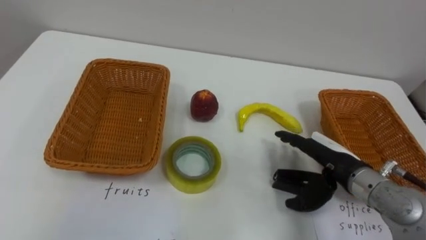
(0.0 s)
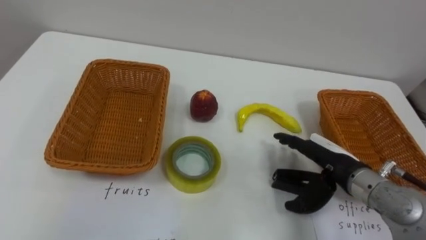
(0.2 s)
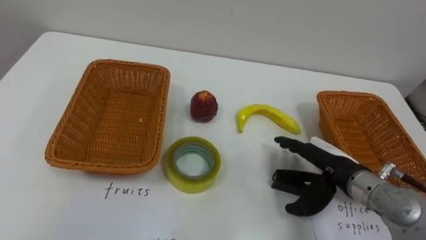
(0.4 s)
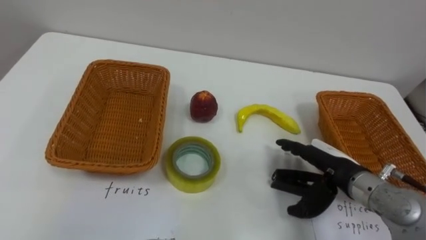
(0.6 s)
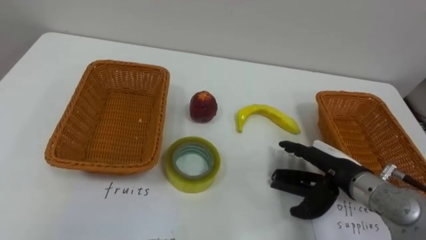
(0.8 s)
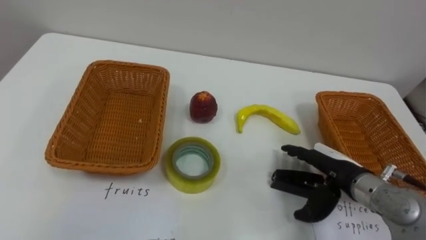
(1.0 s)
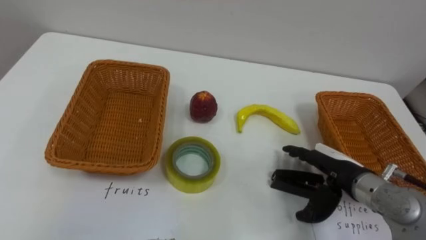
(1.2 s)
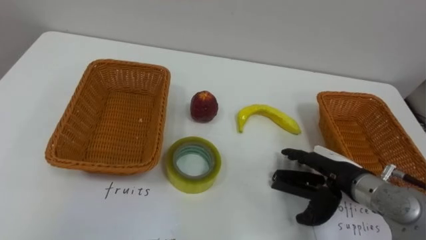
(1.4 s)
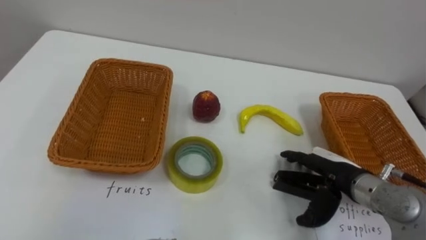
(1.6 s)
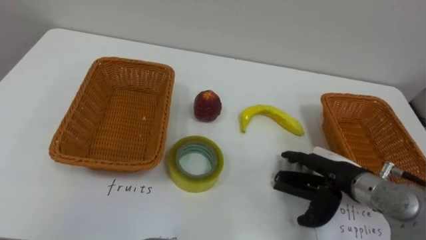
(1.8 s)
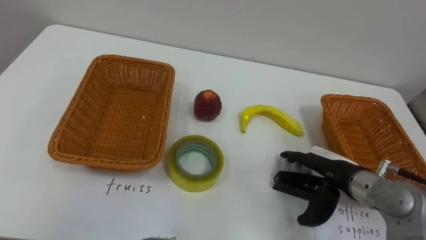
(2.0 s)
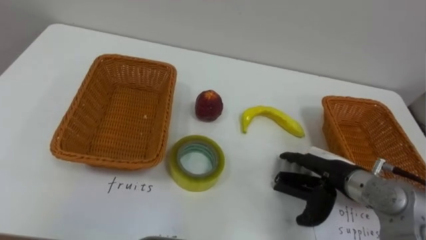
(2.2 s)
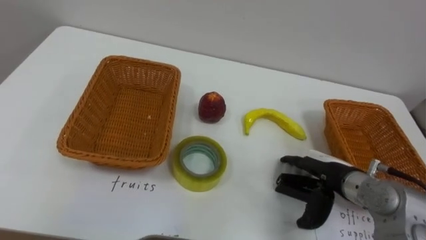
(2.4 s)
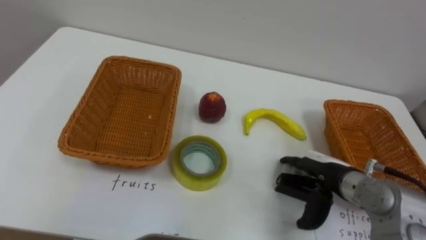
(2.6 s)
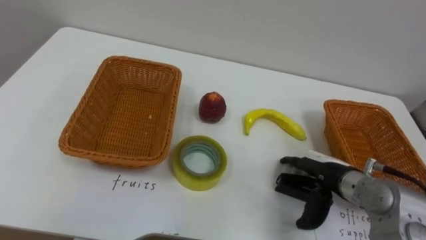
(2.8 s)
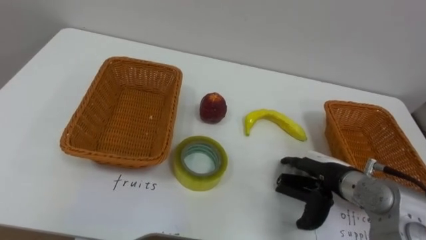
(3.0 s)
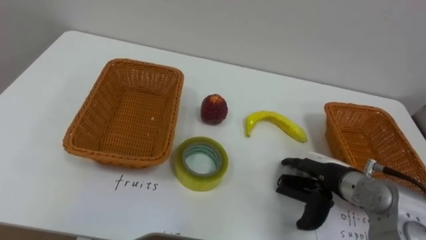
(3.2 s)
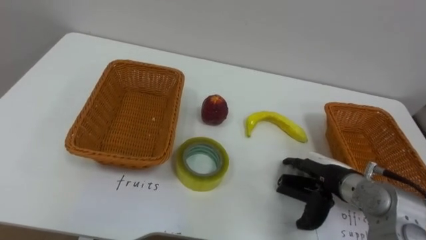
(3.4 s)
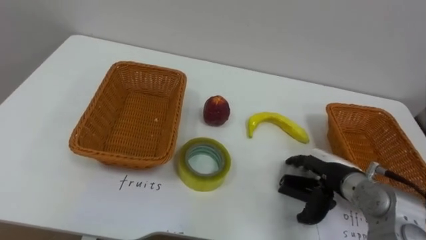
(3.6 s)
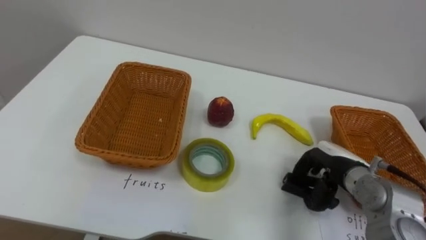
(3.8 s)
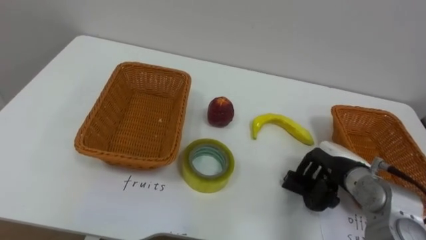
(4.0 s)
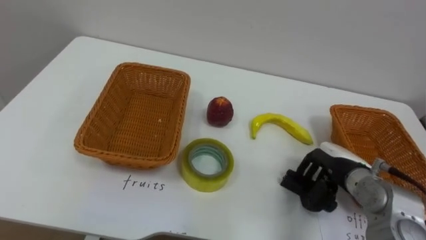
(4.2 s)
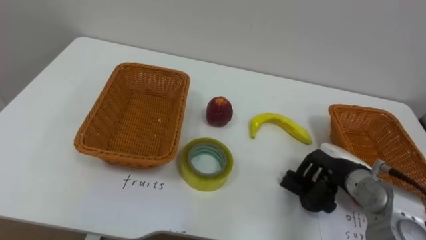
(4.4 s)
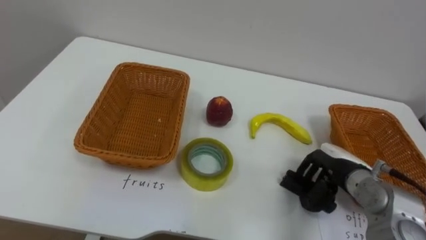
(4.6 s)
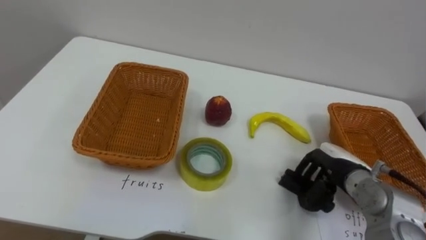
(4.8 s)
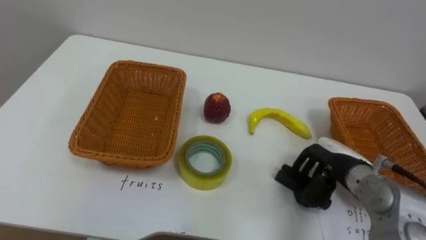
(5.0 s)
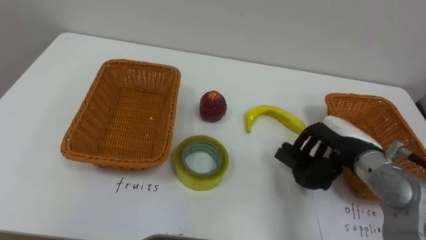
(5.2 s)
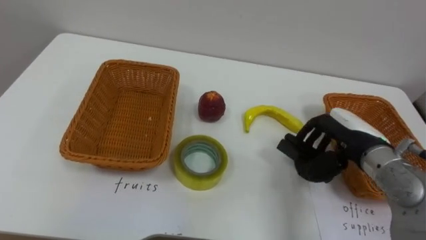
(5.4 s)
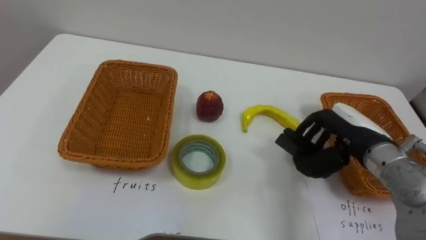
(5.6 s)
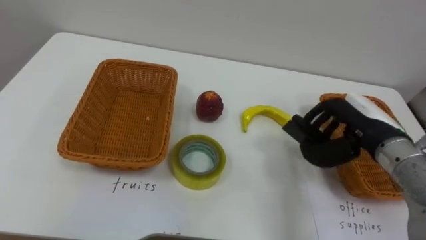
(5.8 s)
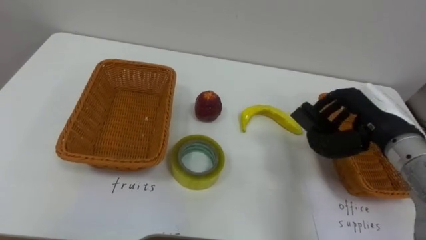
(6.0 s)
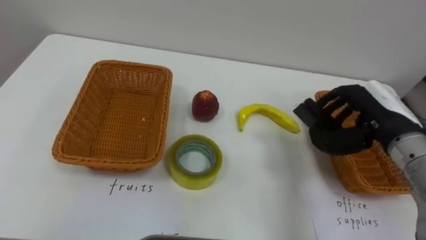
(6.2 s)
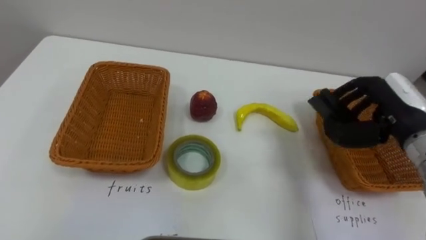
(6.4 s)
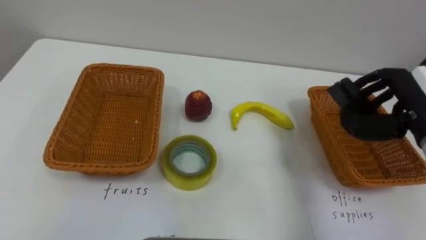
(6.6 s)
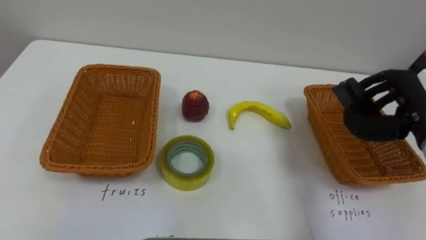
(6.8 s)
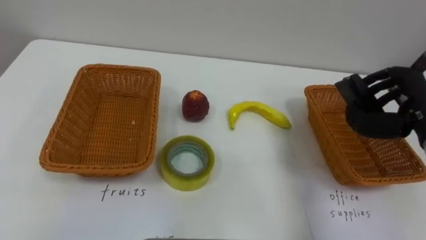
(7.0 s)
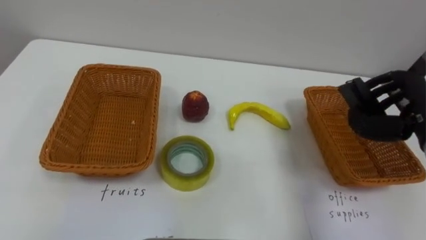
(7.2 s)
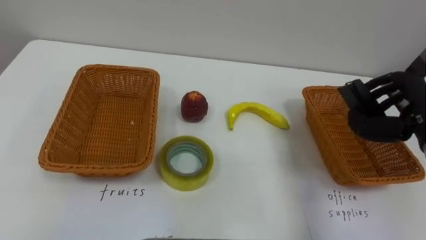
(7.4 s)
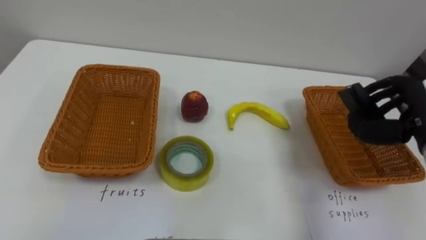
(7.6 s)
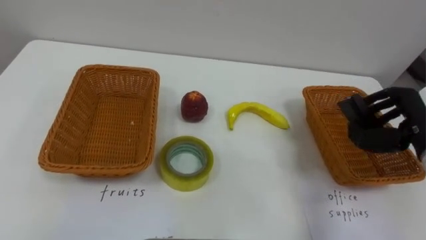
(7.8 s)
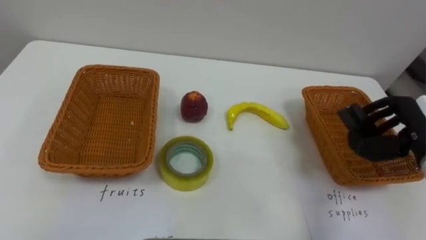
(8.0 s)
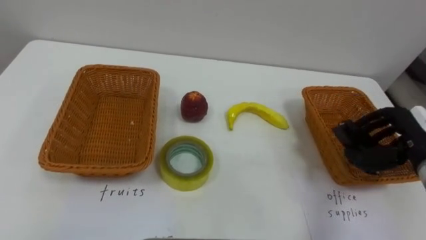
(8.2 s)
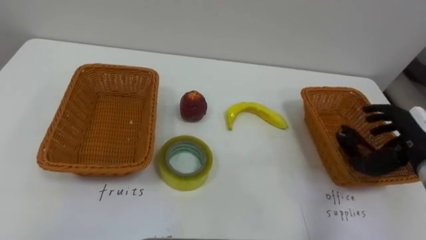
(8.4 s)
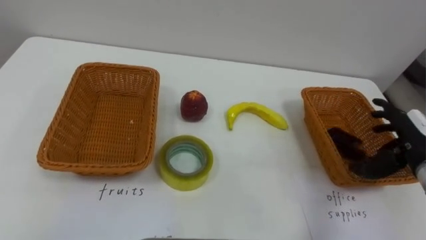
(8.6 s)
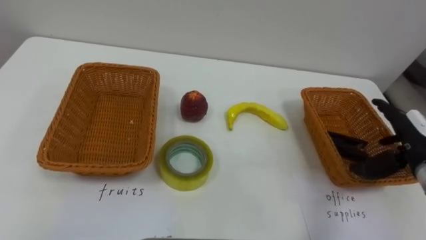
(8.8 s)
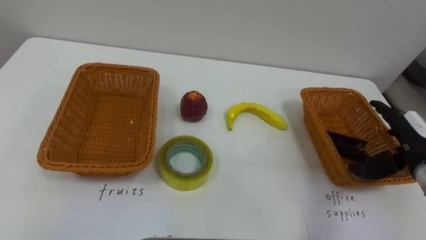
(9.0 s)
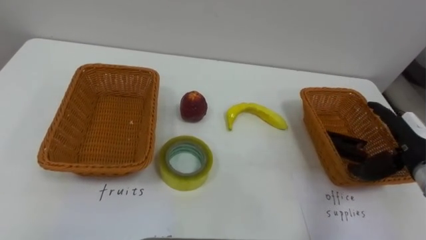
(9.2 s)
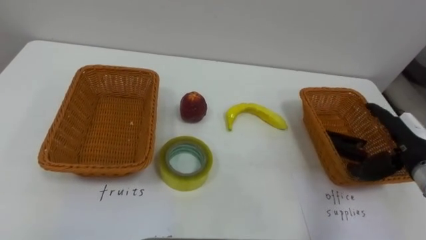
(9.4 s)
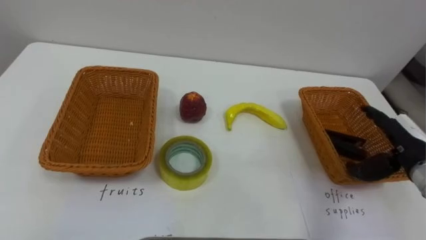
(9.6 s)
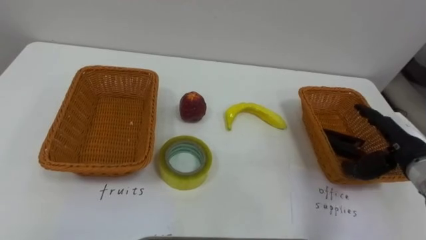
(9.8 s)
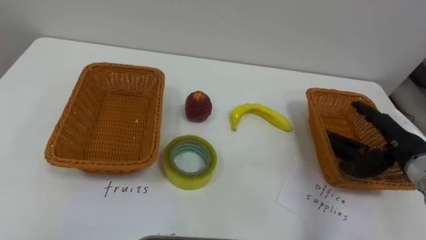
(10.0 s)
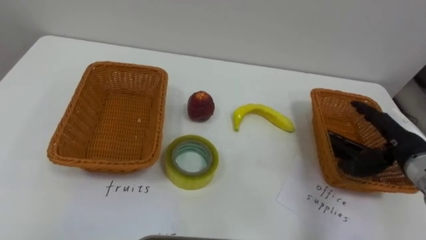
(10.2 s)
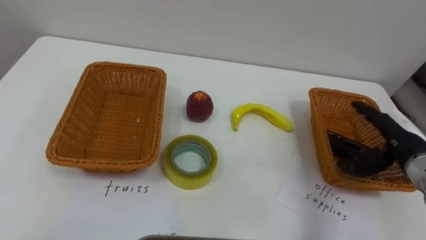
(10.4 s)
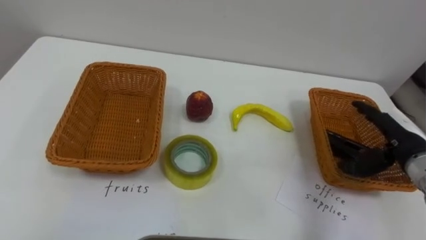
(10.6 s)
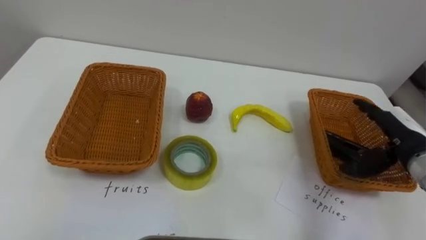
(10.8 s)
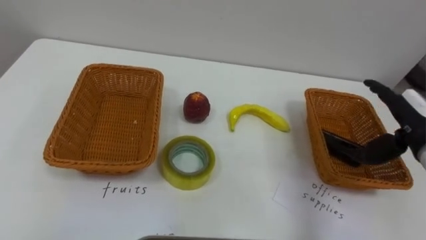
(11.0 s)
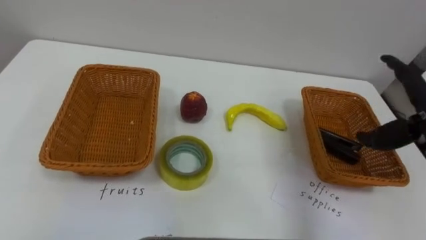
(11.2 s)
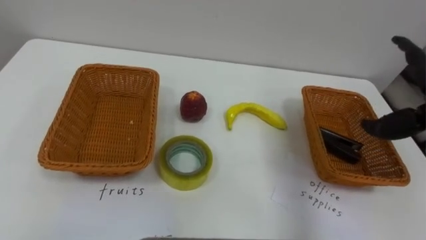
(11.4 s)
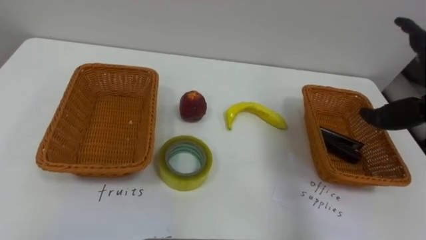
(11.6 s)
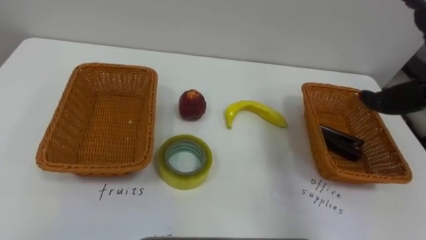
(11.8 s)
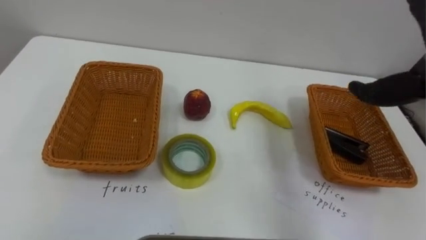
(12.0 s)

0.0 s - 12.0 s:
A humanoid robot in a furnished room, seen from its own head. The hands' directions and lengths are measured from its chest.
Task of the whole recording: Separate the items on the table and place them into the two baskets.
3.0 s - 4.4 s: The right hand closes up.
4.4 s - 6.0 s: The right hand shifts about 10 cm upward.
7.6 s - 9.0 s: The right hand is displaced downward by roughly 5 cm, and opens.

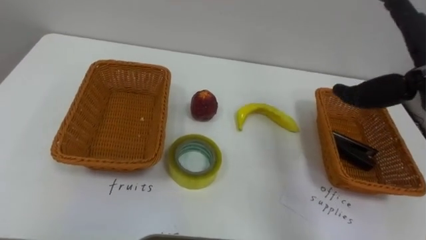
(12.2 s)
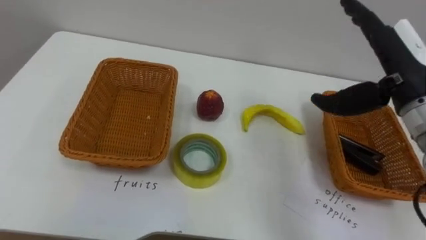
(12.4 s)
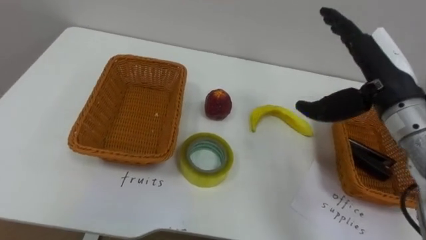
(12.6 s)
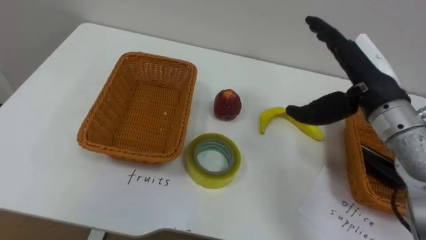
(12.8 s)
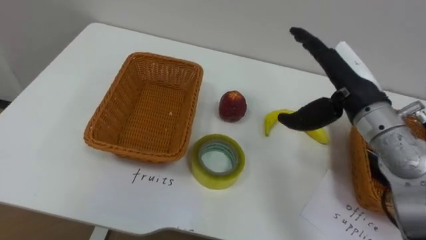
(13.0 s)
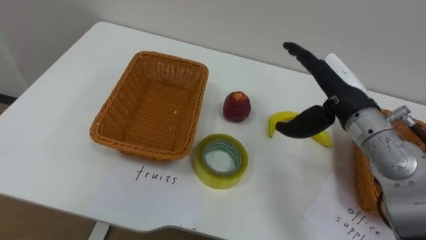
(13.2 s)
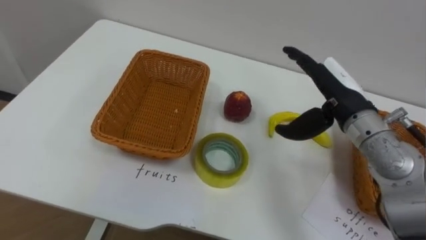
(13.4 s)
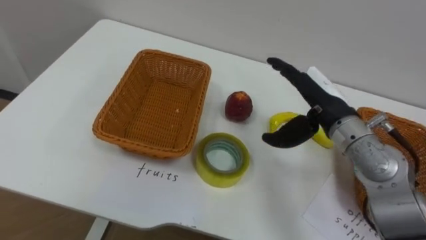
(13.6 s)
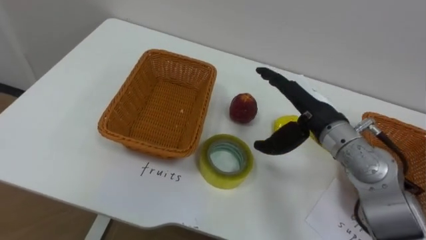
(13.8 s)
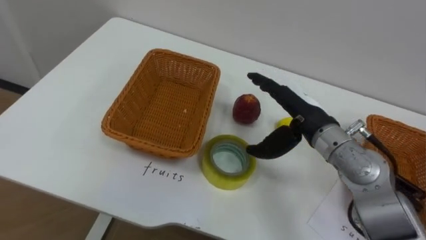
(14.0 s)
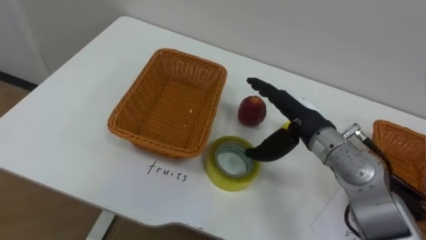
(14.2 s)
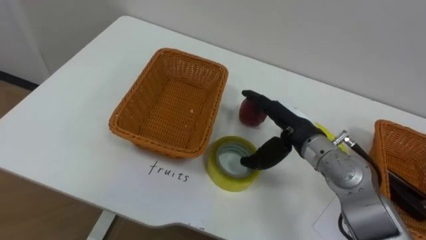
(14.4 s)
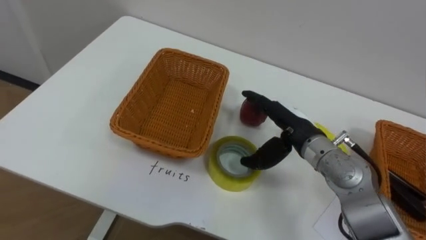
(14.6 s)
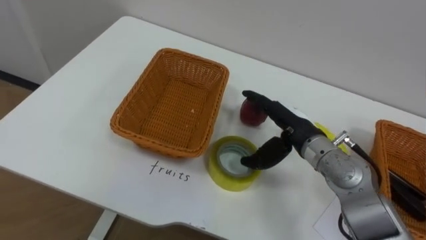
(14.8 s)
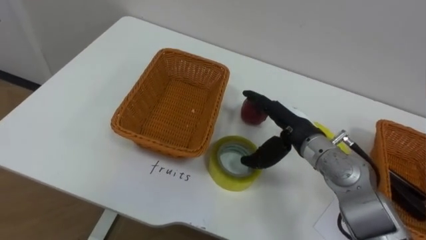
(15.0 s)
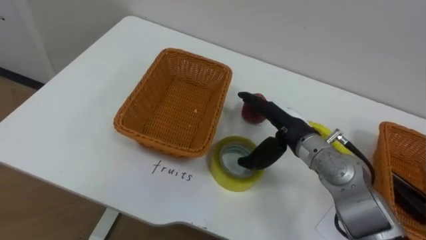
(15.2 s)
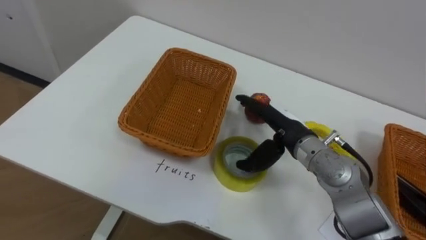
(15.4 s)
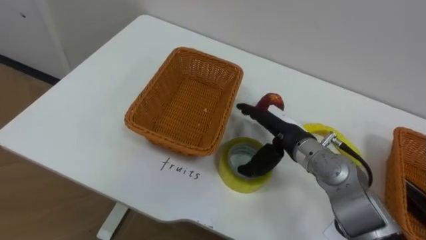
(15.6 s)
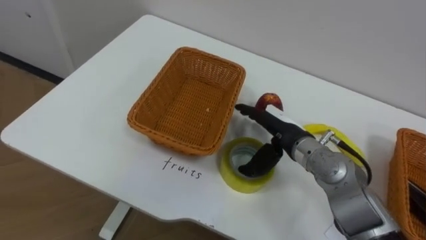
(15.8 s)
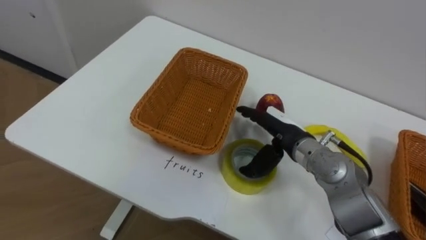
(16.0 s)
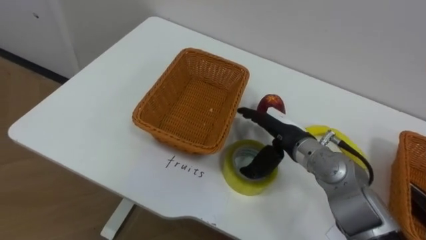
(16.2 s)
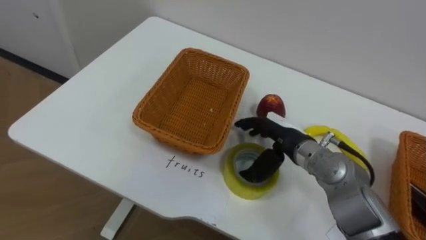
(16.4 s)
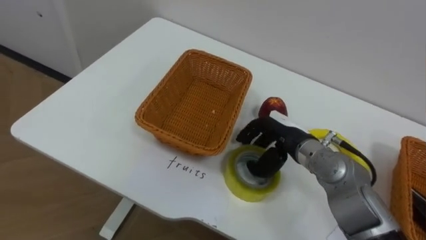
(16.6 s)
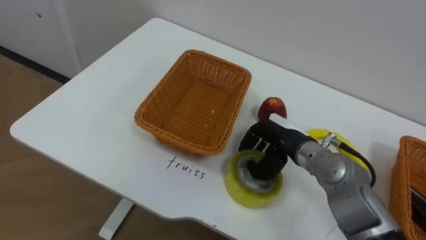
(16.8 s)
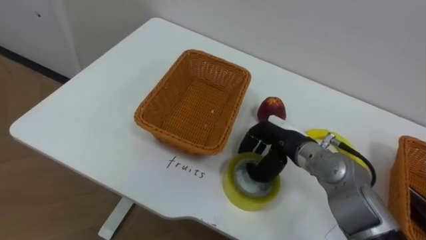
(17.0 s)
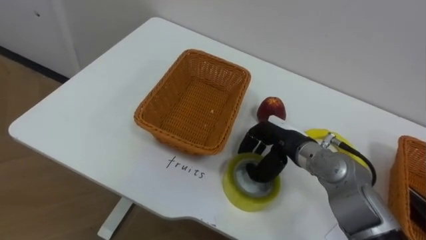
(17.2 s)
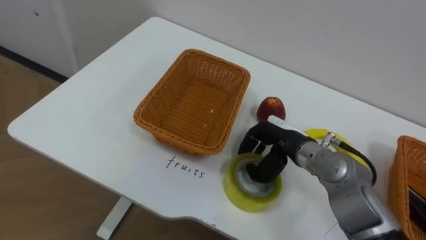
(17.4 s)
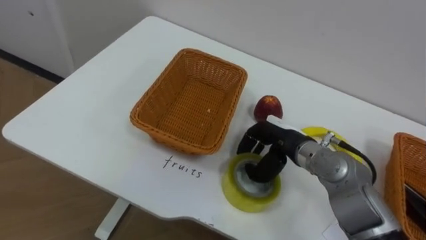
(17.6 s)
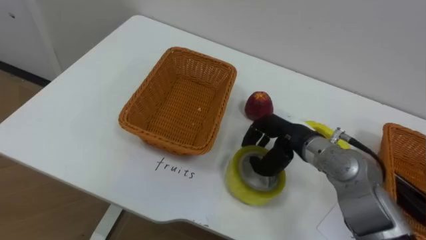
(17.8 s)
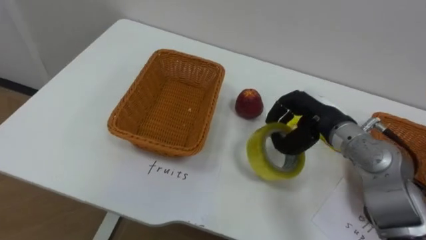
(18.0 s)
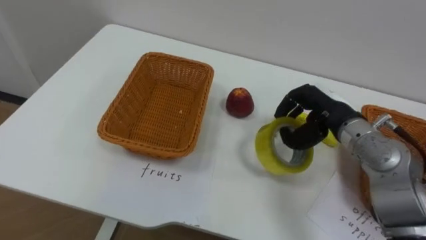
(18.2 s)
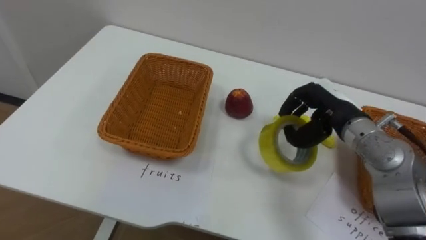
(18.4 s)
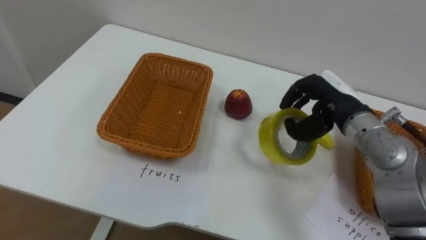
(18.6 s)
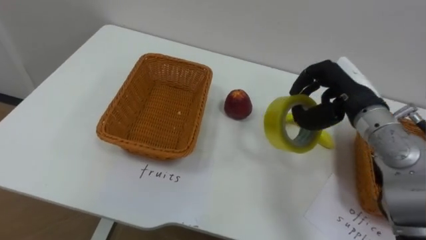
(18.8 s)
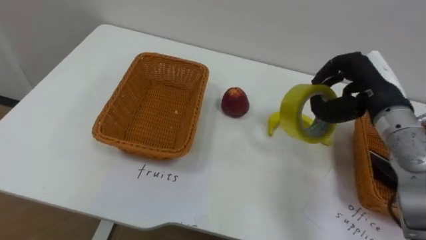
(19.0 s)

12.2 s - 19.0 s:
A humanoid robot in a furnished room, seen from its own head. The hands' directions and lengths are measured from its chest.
Task of the whole recording: Separate the items on the table and place them into the two baskets.
12.2 s - 13.6 s: The right hand moves downward and to the left, roughly 15 cm.
13.6 s - 15.0 s: The right hand travels downward by roughly 5 cm.
16.2 s - 17.6 s: The right hand closes its fingers.
17.6 s - 19.0 s: The right hand goes approximately 15 cm to the right and upward.
